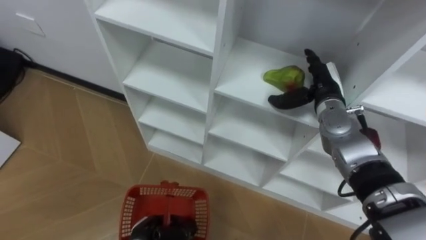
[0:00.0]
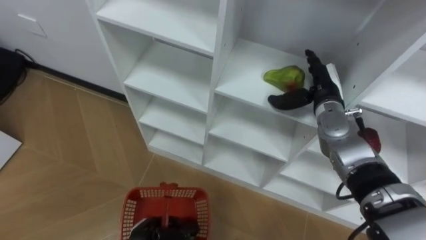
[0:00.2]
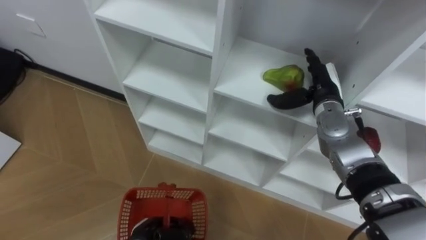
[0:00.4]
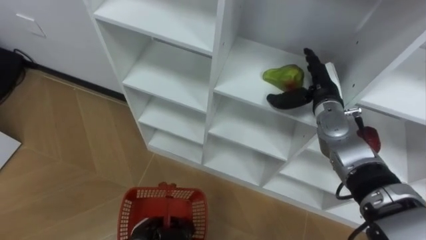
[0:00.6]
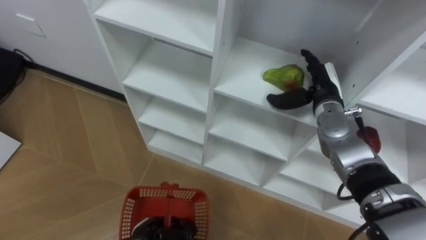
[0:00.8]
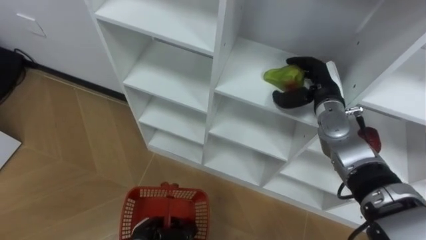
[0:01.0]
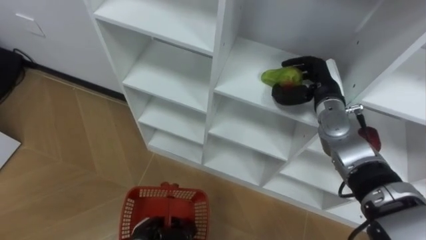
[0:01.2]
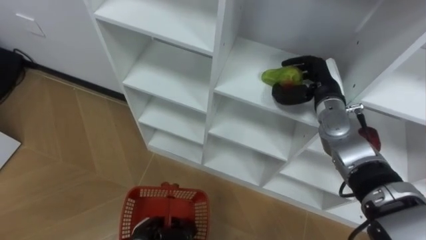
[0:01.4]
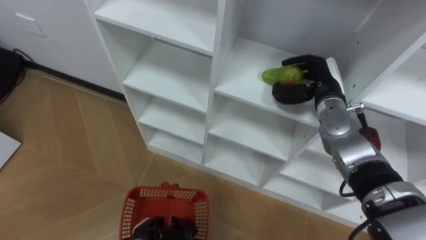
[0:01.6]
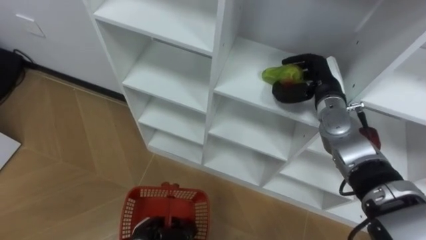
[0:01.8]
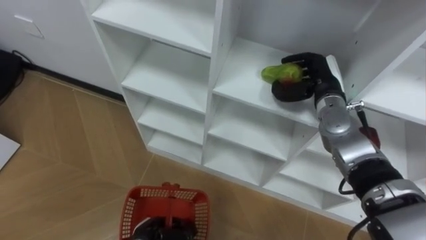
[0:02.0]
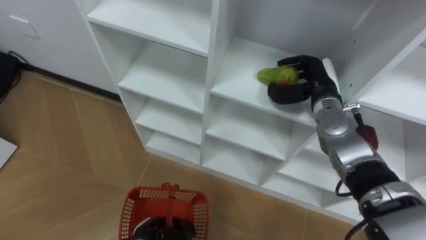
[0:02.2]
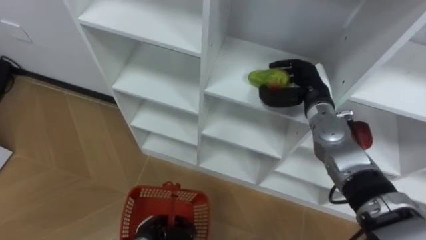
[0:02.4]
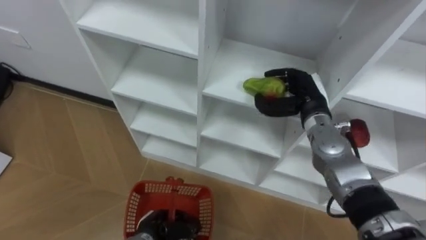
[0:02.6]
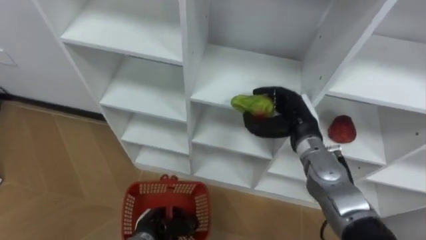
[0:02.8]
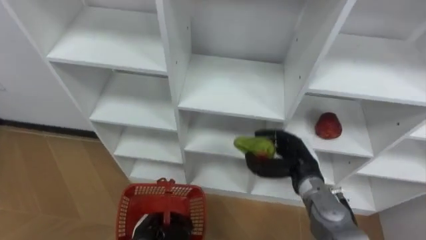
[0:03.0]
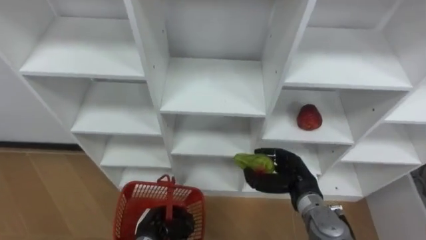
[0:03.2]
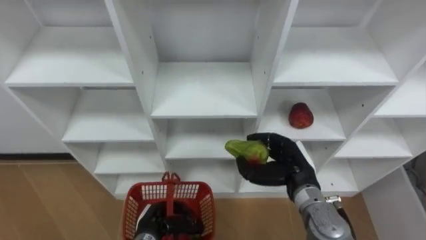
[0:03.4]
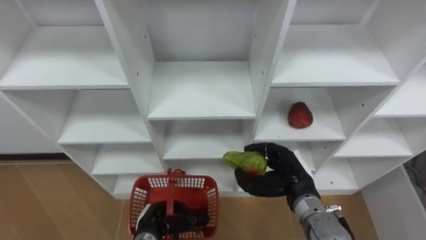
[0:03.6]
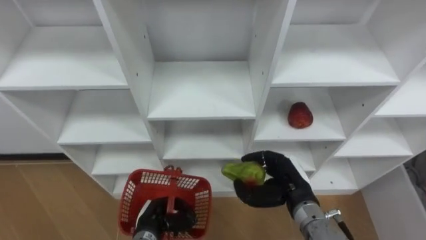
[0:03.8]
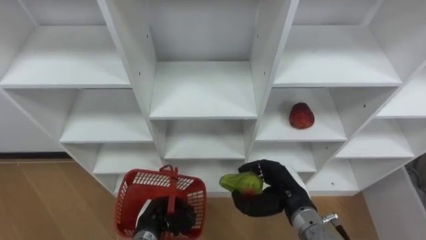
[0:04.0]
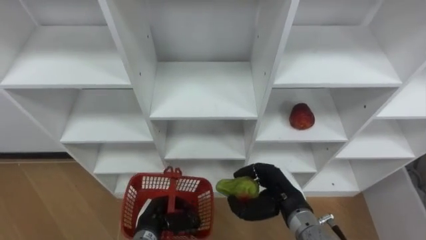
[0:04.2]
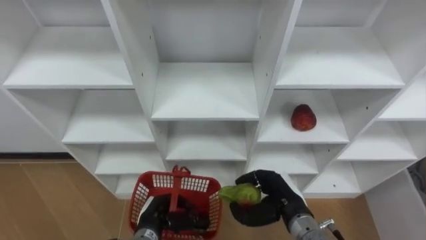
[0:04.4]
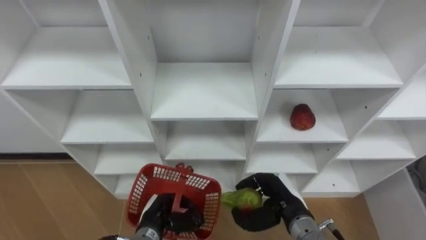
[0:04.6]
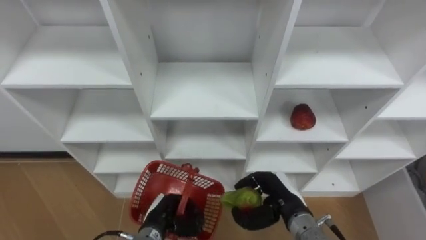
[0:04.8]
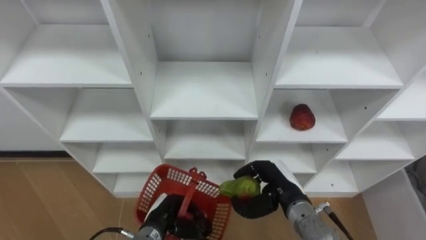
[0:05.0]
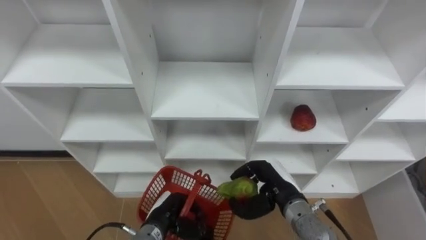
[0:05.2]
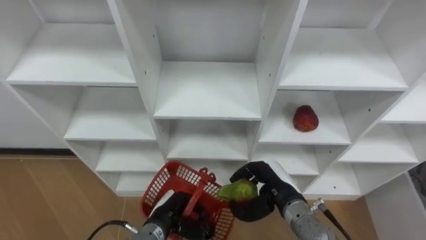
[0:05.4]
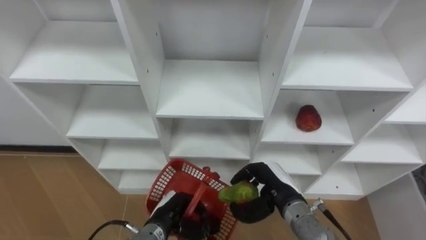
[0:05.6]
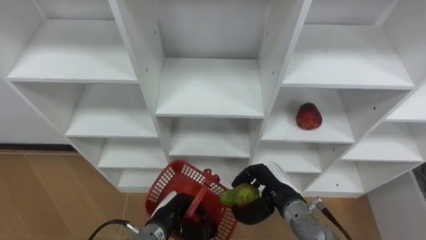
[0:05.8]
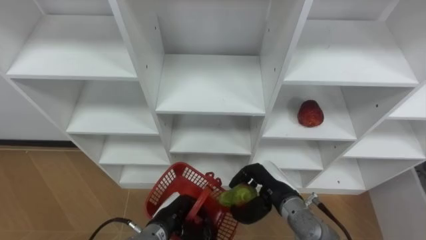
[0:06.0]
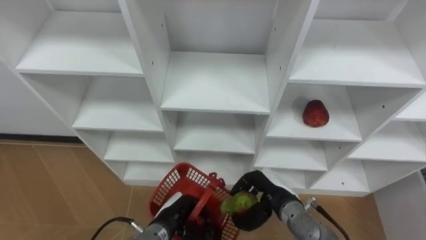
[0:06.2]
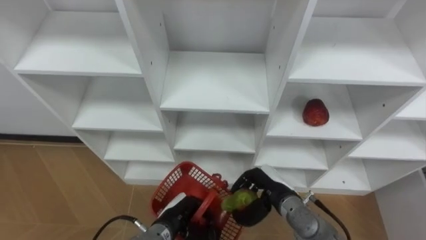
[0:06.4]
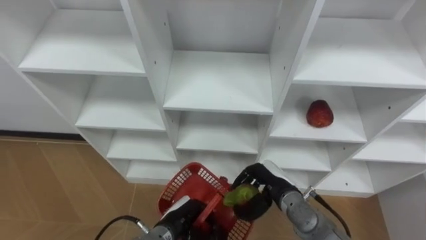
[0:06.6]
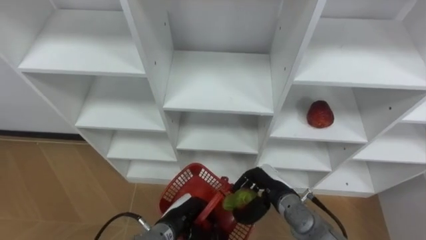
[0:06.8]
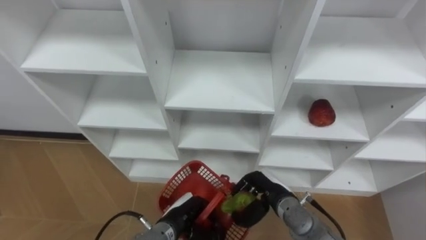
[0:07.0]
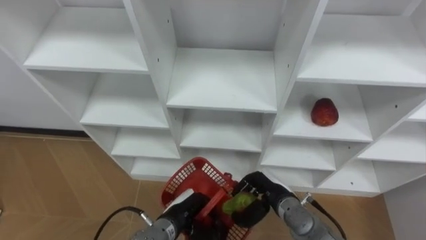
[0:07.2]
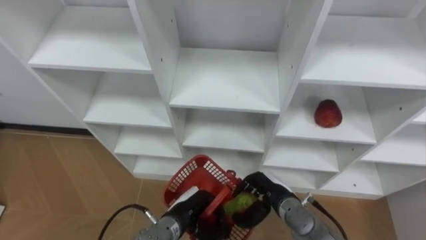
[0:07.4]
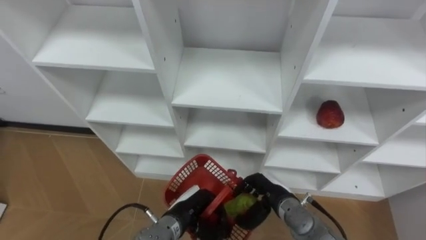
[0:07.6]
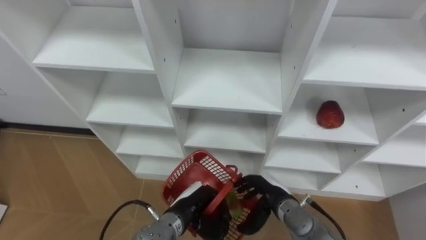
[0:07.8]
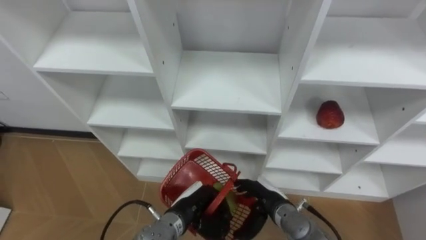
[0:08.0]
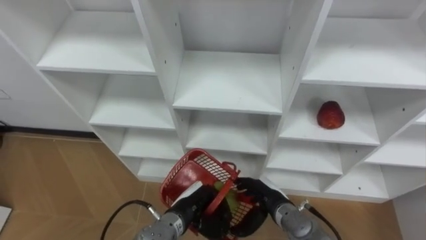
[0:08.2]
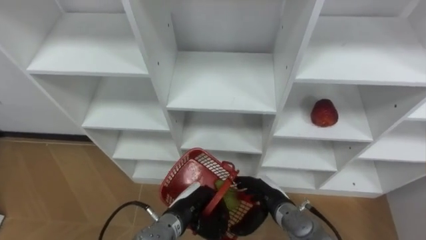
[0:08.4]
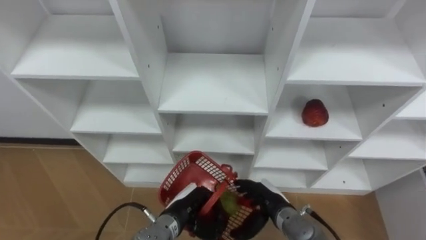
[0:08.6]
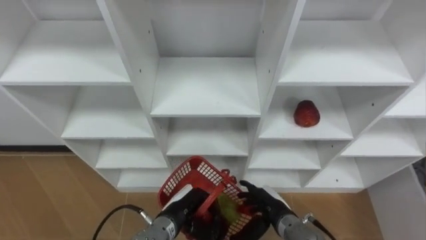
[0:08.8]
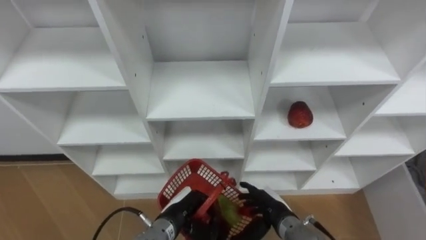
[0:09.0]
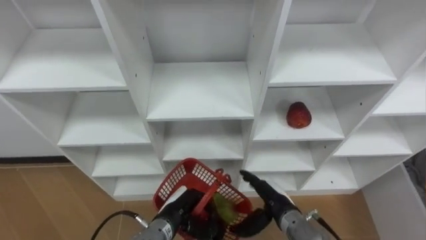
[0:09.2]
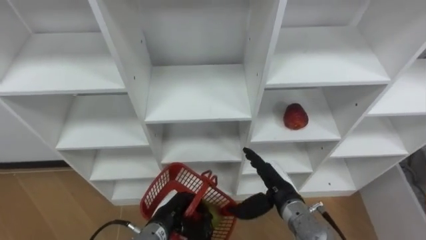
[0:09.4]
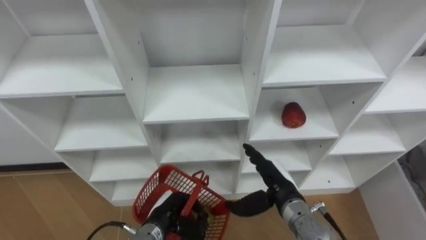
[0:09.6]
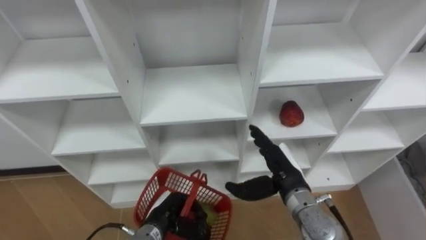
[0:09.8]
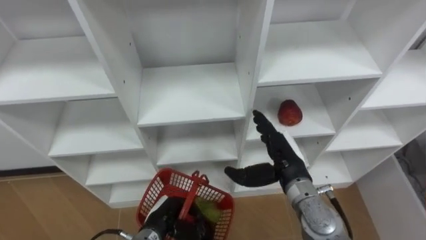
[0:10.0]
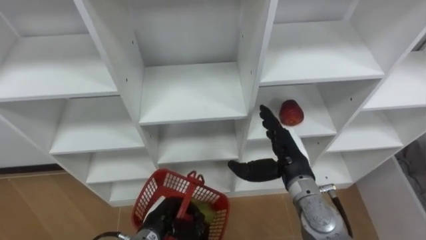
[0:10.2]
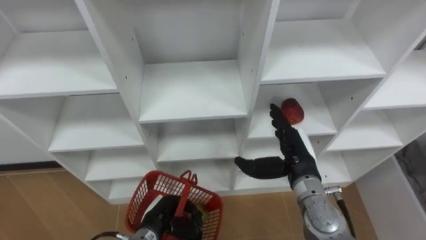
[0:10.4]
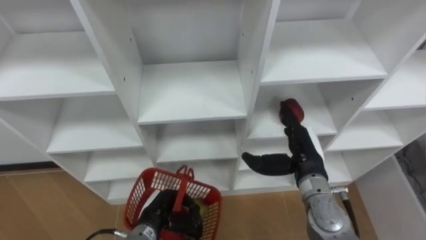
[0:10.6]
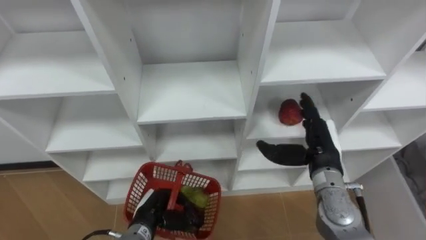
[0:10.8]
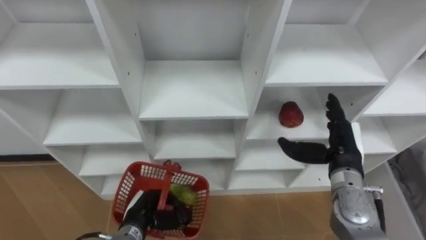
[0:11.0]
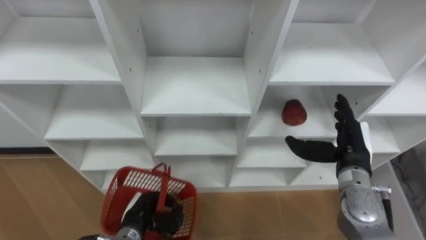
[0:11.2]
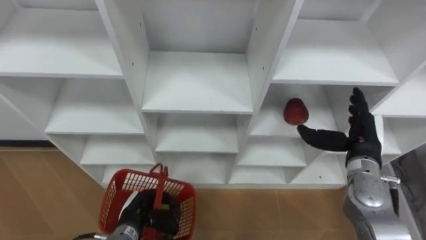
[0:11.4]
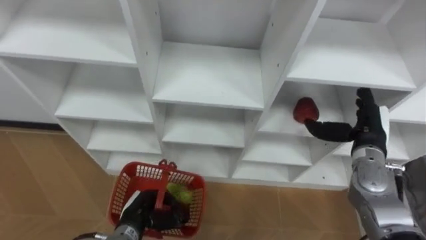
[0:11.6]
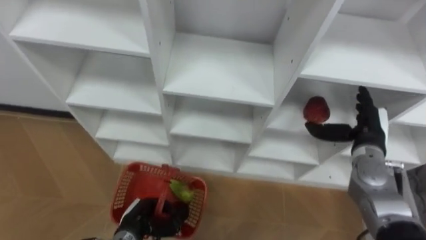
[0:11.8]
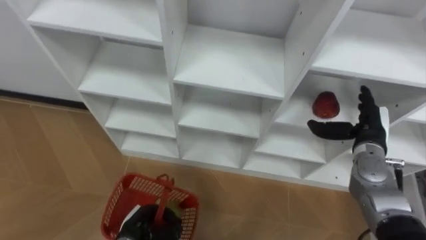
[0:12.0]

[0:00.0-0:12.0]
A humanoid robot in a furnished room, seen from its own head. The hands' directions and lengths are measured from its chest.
Task of the whole recording: Hold the basket and collect the fruits from 3 different cells of the closet into it.
0:00.0 to 0:01.6: The right hand closes its fingers.
0:01.6 to 0:03.0: The right hand moves backward and downward, approximately 15 cm.
0:03.0 to 0:04.4: The right hand goes some 5 cm backward.
0:07.6 to 0:09.0: The right hand opens.
0:09.0 to 0:10.4: The right hand travels upward and forward by about 15 cm.
0:10.4 to 0:12.0: The right hand shifts about 15 cm to the right.

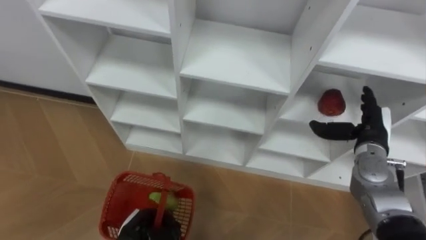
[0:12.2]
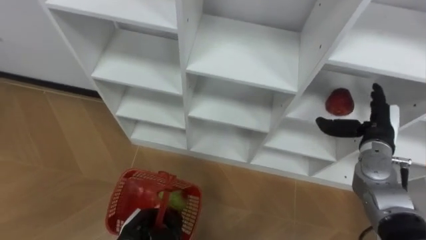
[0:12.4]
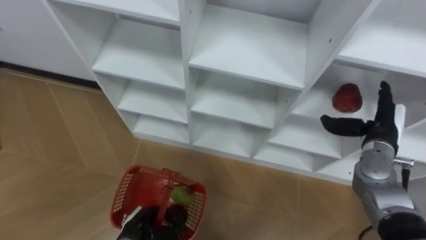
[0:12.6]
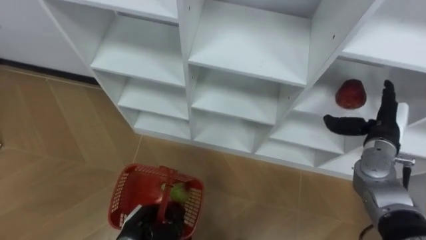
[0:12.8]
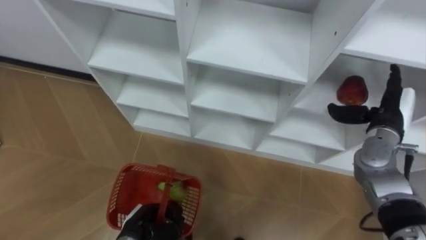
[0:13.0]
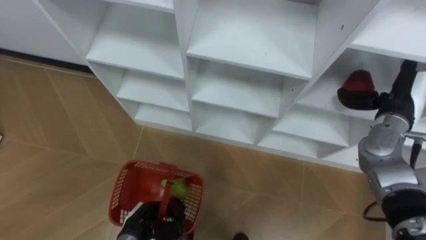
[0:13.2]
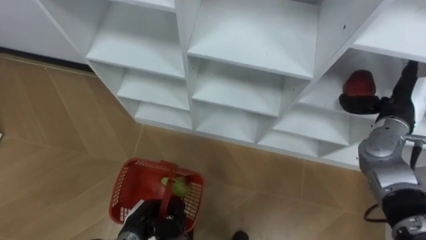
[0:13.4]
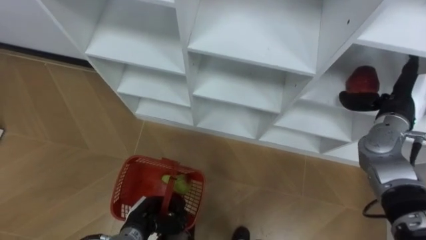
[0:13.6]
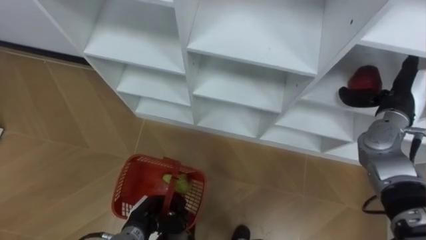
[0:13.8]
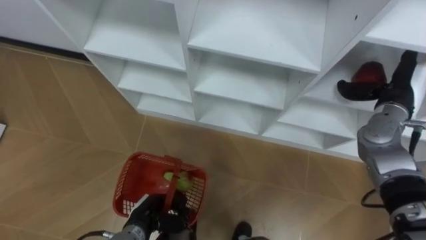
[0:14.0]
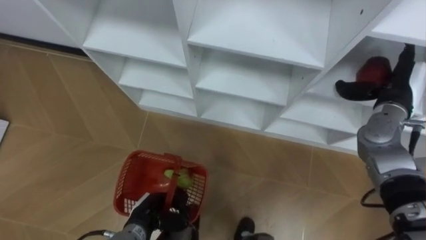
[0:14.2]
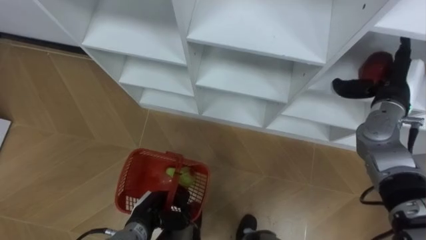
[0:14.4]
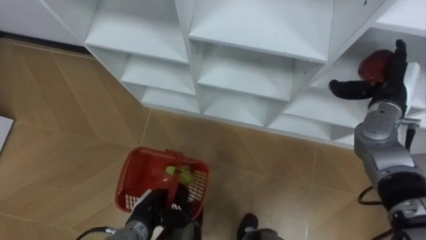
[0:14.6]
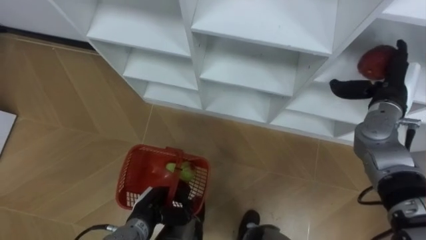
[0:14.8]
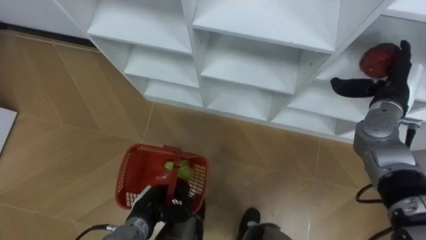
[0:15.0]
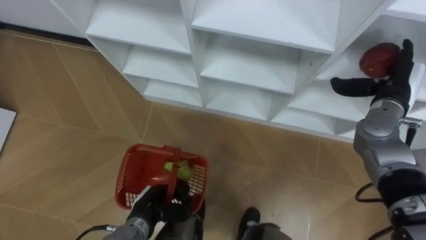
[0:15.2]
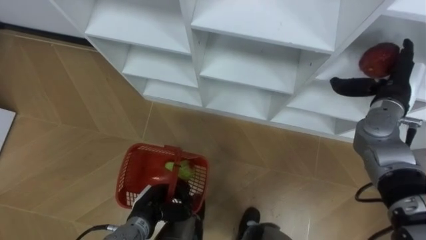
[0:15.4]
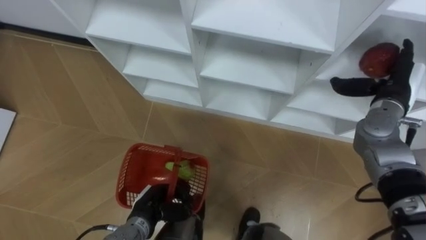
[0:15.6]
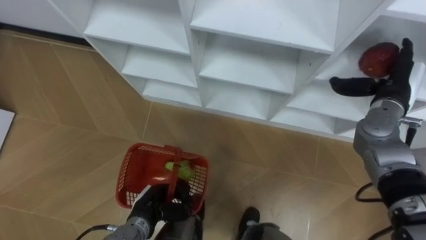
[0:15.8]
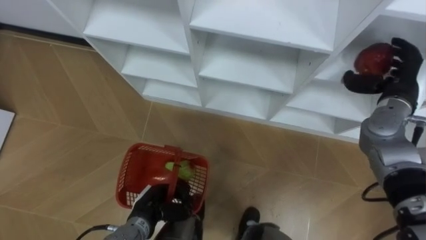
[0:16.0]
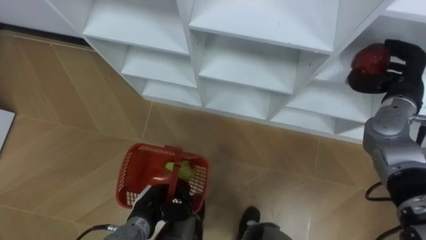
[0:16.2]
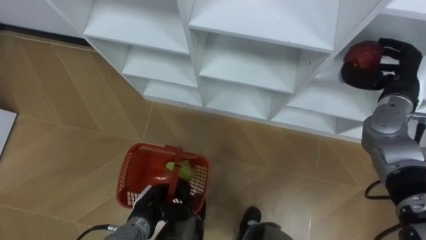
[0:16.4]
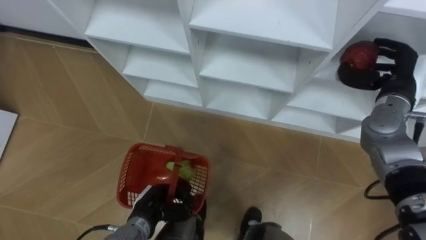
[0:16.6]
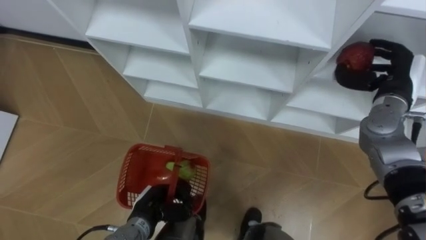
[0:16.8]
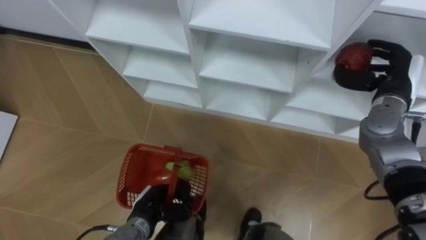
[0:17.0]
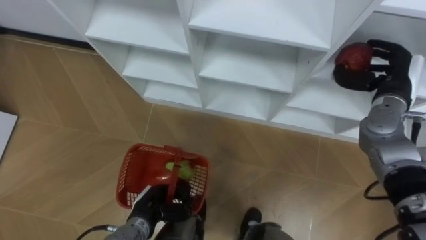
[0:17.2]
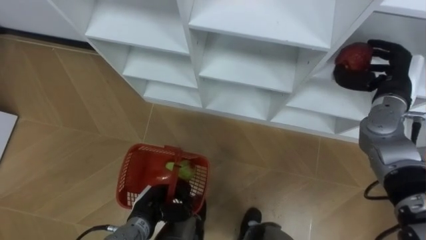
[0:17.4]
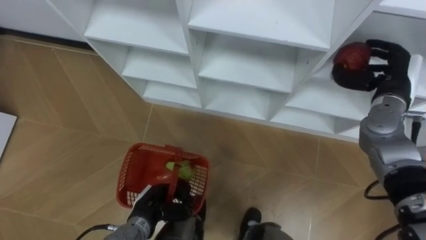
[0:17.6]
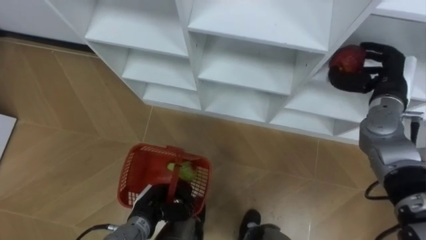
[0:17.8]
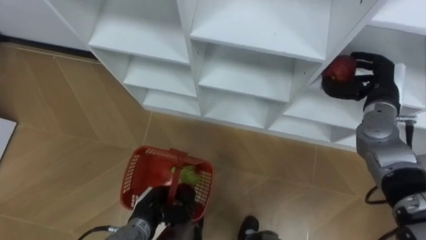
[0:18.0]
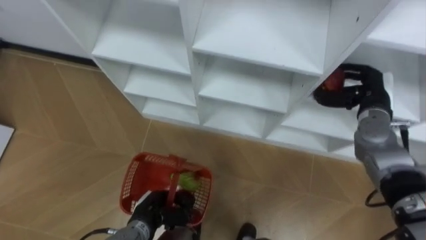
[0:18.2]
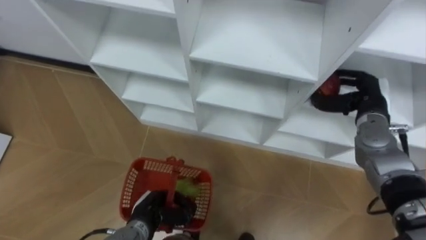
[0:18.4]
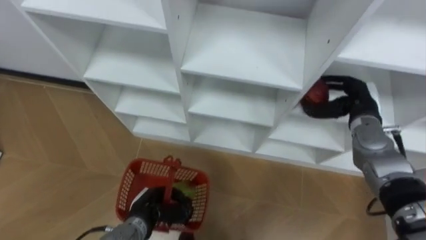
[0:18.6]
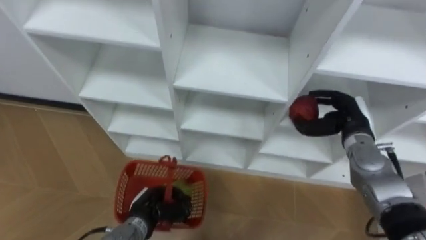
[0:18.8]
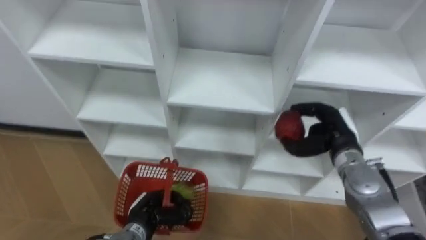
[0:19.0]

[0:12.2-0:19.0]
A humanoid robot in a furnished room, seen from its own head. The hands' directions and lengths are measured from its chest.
Task of the whole recording: Hold the basket and collect the fruits from 3 different cells of the closet into it.
0:12.2 to 0:13.6: The right hand shifts about 5 cm upward.
0:15.0 to 0:16.2: The right hand closes up.
0:17.6 to 0:19.0: The right hand goes approximately 15 cm downward, to the left and backward.
